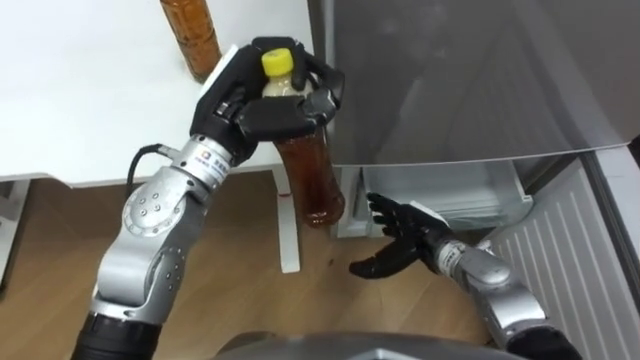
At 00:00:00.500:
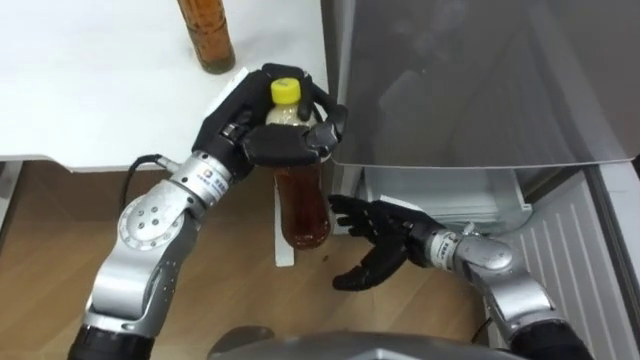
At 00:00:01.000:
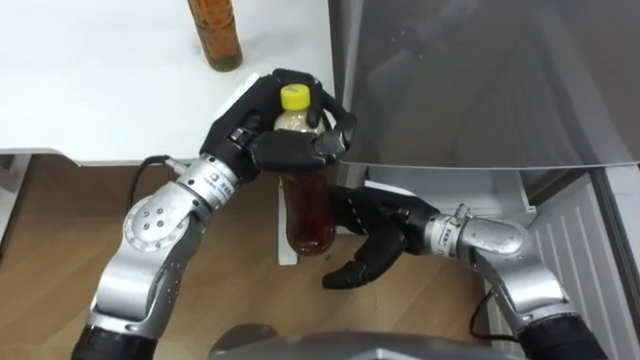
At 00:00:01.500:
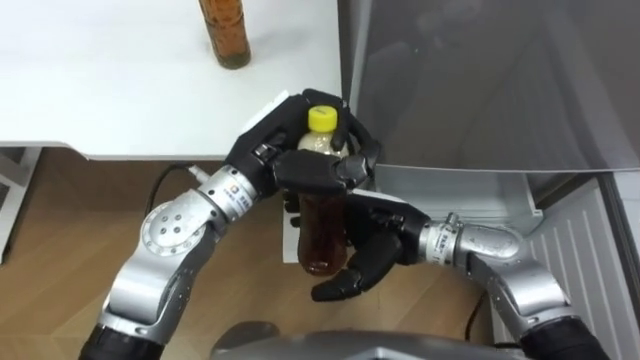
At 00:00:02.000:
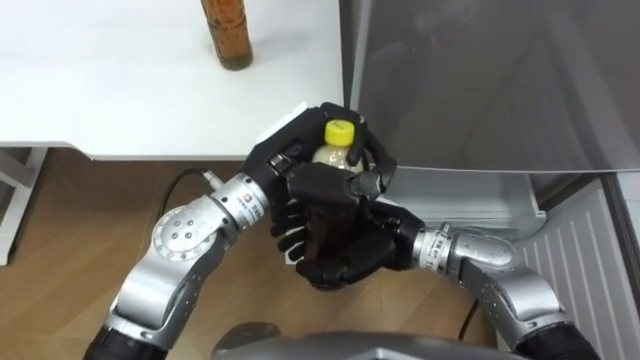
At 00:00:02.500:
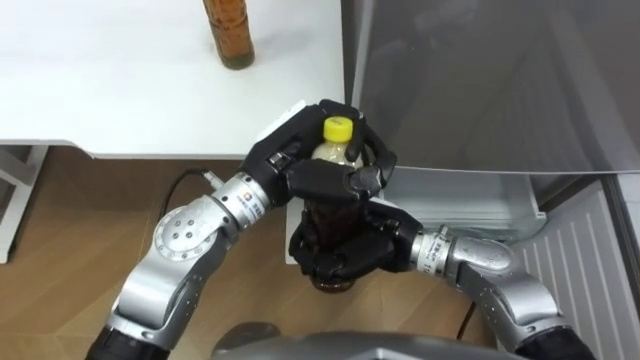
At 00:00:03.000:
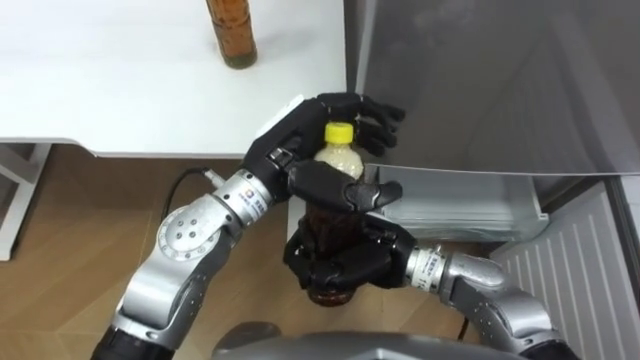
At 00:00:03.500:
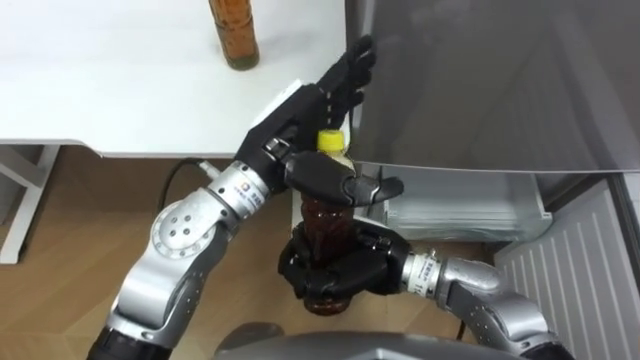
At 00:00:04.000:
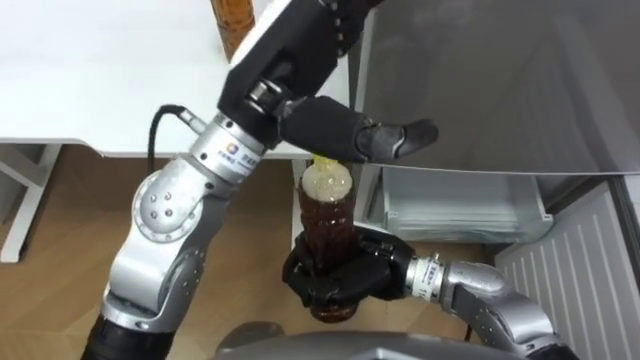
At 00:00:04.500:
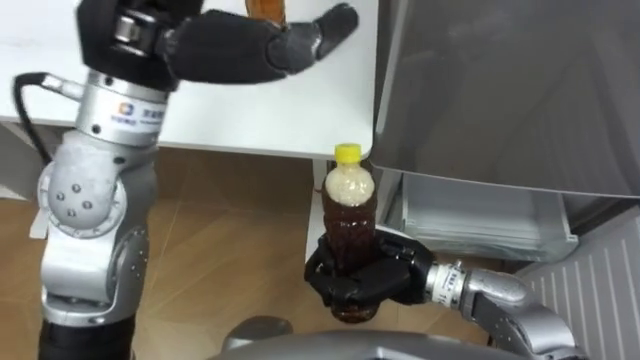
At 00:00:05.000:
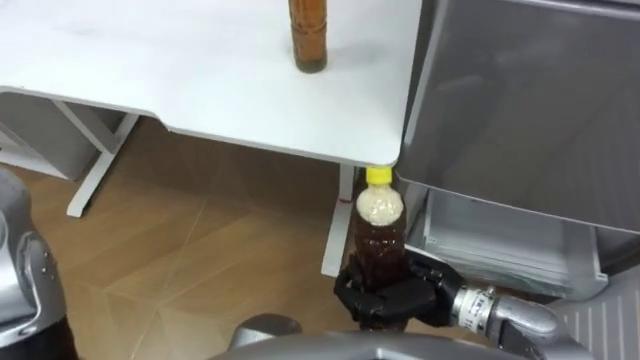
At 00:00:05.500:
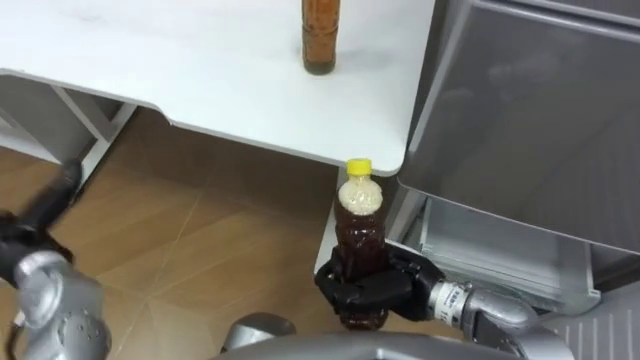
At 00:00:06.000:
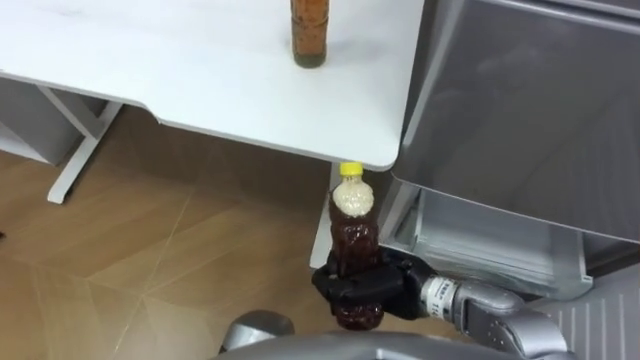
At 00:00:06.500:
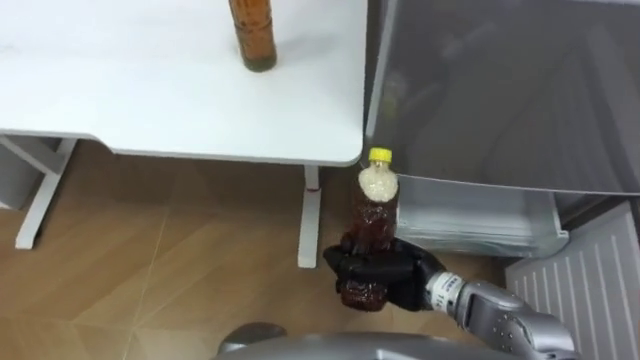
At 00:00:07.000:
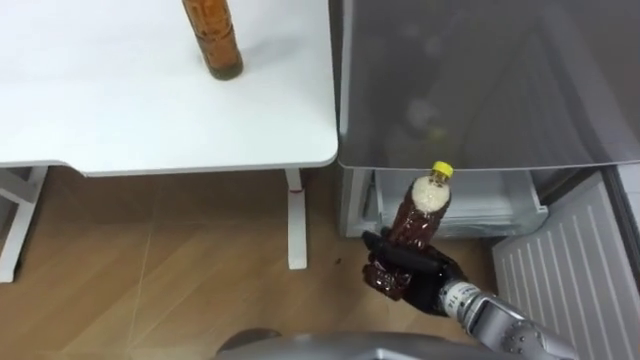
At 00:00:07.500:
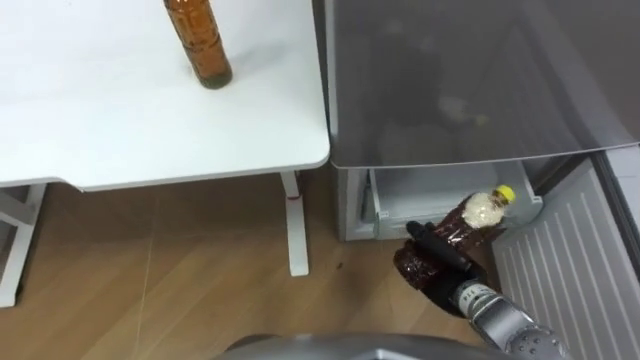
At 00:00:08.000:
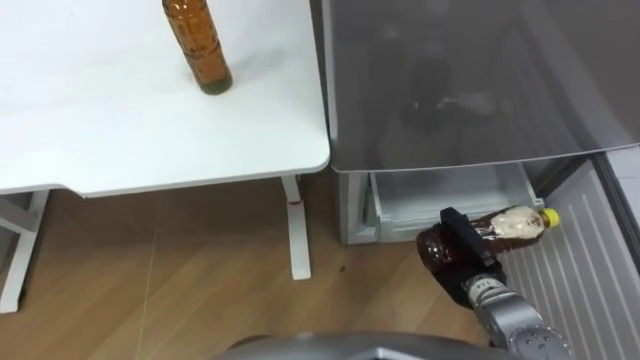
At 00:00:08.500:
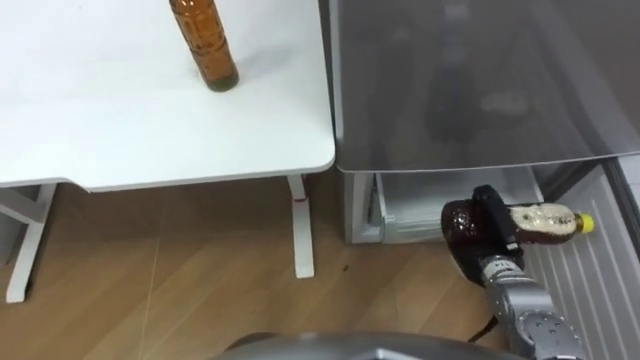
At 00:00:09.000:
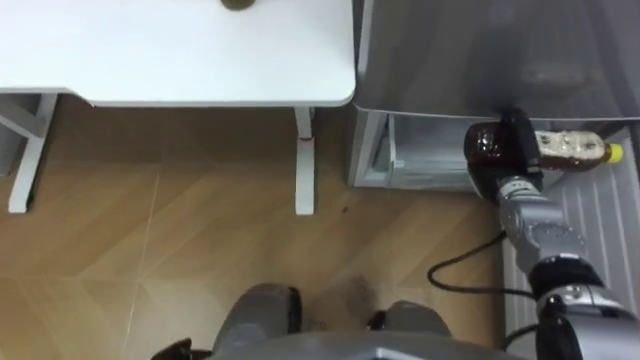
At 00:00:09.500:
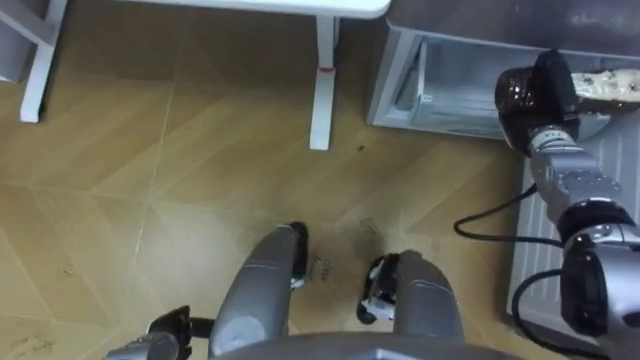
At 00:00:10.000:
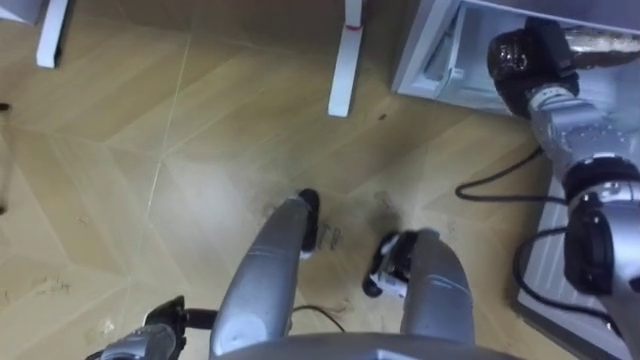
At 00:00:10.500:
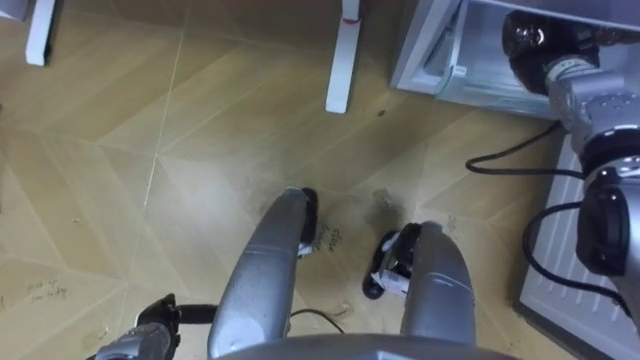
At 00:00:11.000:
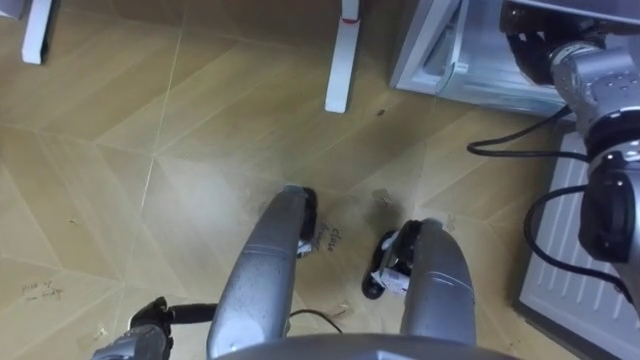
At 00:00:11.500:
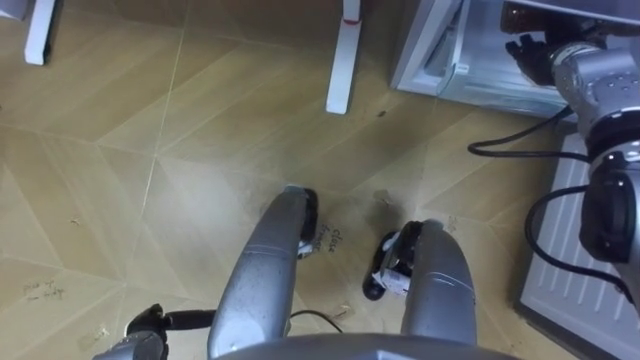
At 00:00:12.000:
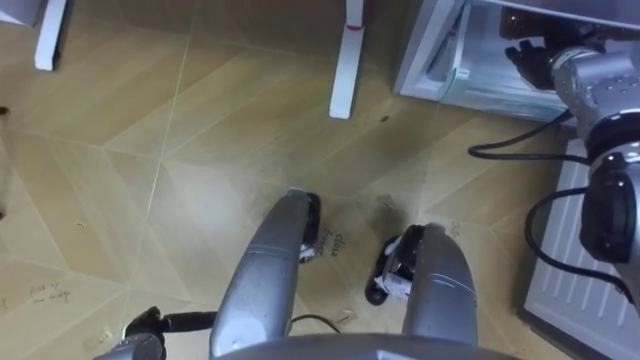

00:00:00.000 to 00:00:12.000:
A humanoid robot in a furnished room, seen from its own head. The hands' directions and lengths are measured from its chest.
Task of the whole recording: Place the drink on the table on the bottom shelf of the refrigerator, then close the drawer and the refrigerator door.
00:00:00.000 to 00:00:02.000: The left hand goes about 5 cm to the right; the right hand heads upward and to the left, covering roughly 15 cm.
00:00:02.000 to 00:00:04.000: The right hand closes up. The left hand shifts about 10 cm upward, and opens its fingers.
00:00:04.000 to 00:00:06.000: The right hand shifts approximately 5 cm downward.
00:00:06.000 to 00:00:08.000: The right hand travels to the right and downward by approximately 15 cm.
00:00:08.000 to 00:00:10.000: The right hand travels forward and upward by about 25 cm.
00:00:10.000 to 00:00:12.000: The right hand opens its fingers.

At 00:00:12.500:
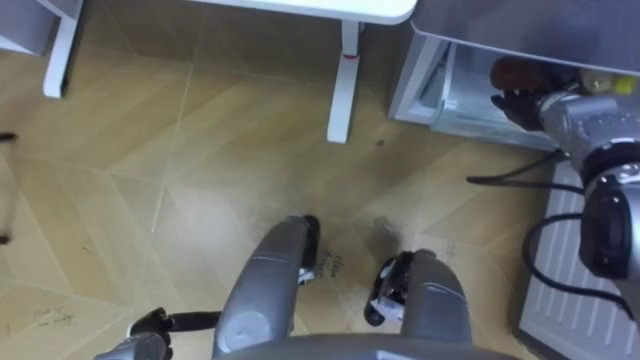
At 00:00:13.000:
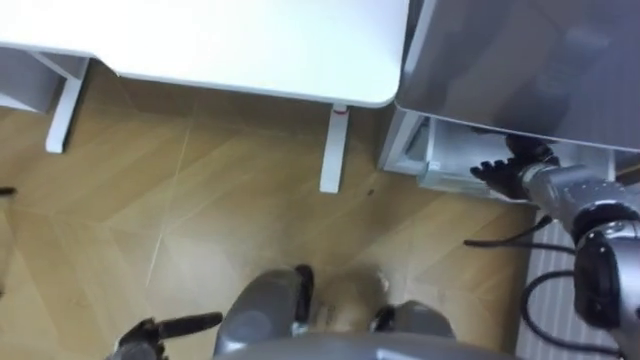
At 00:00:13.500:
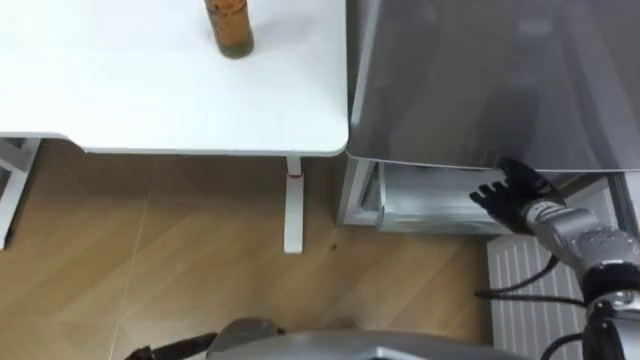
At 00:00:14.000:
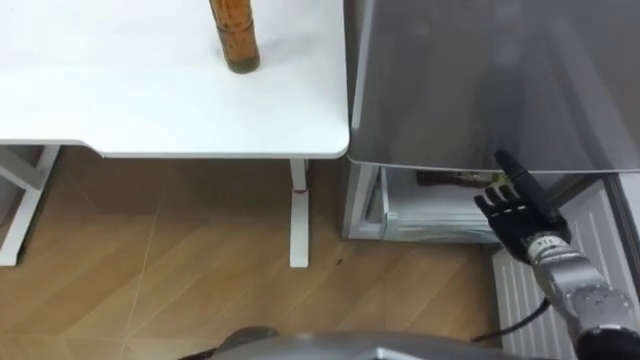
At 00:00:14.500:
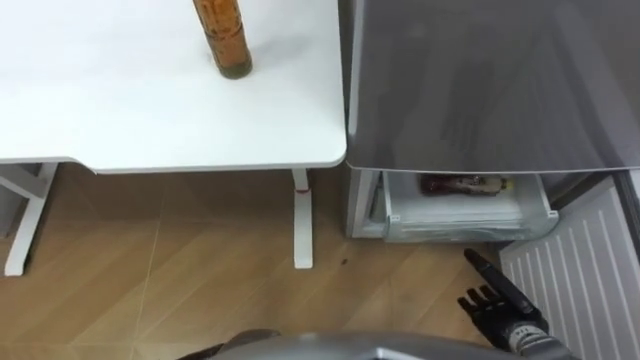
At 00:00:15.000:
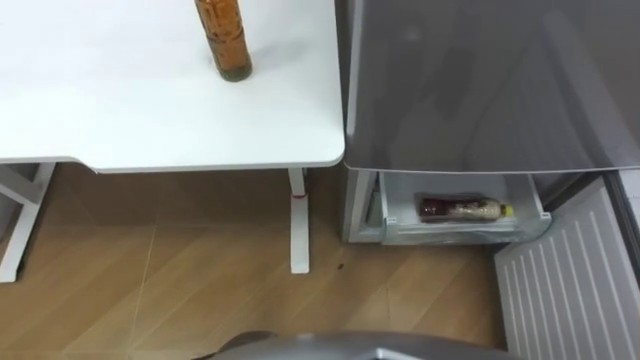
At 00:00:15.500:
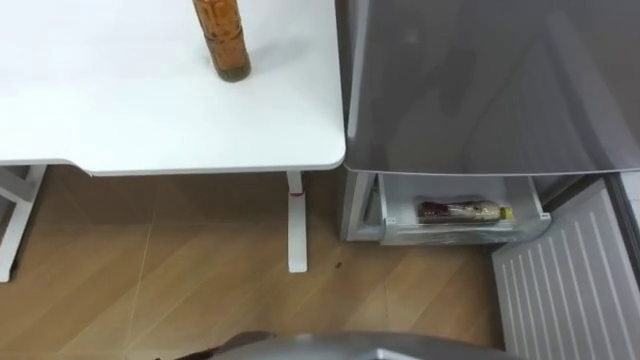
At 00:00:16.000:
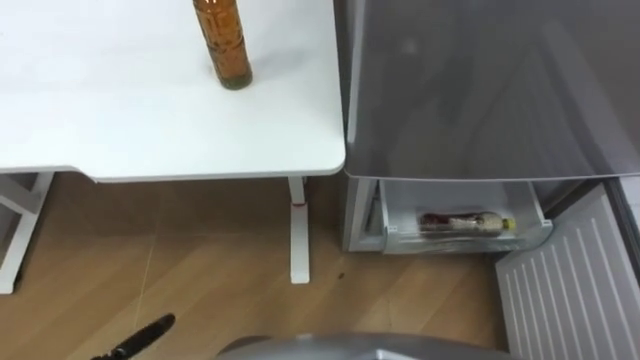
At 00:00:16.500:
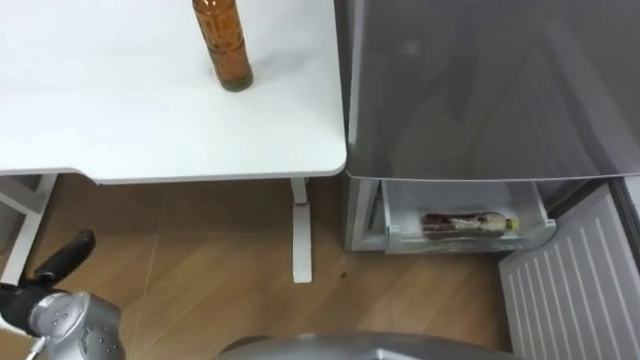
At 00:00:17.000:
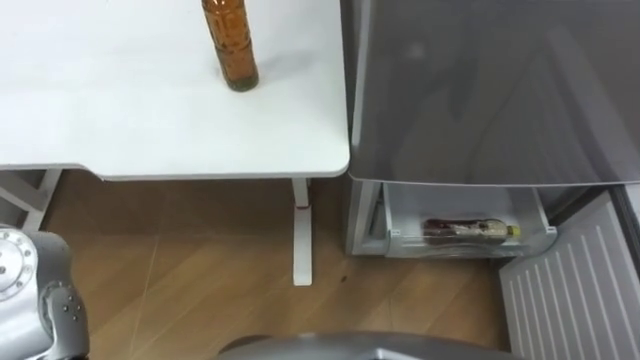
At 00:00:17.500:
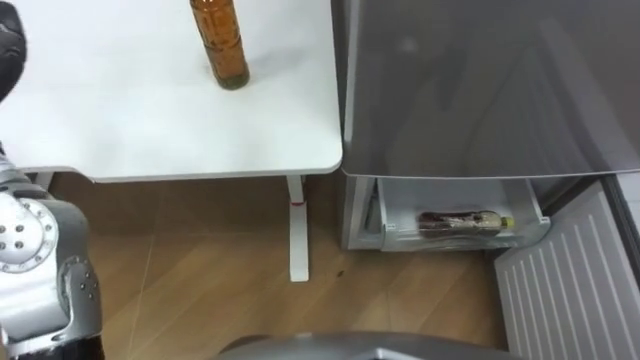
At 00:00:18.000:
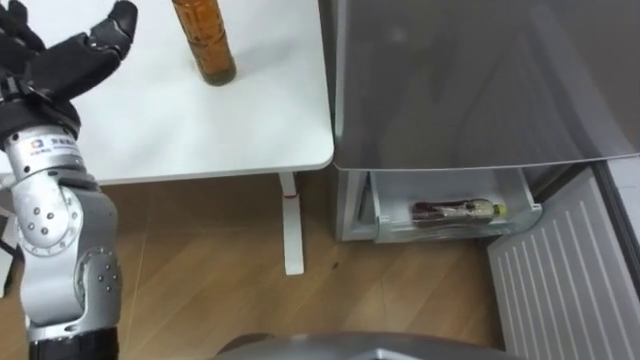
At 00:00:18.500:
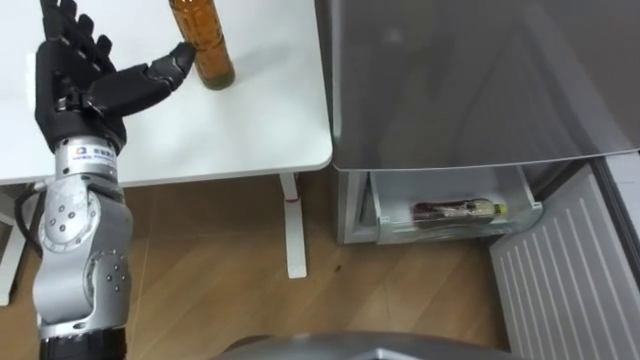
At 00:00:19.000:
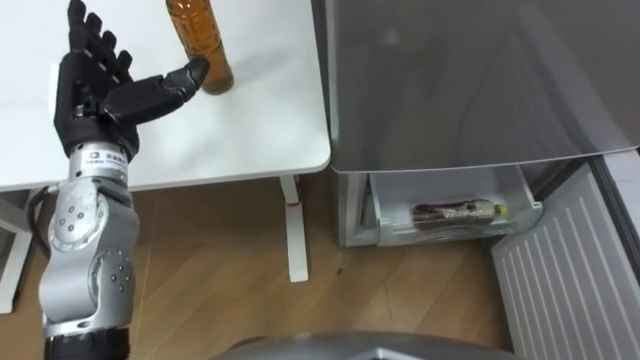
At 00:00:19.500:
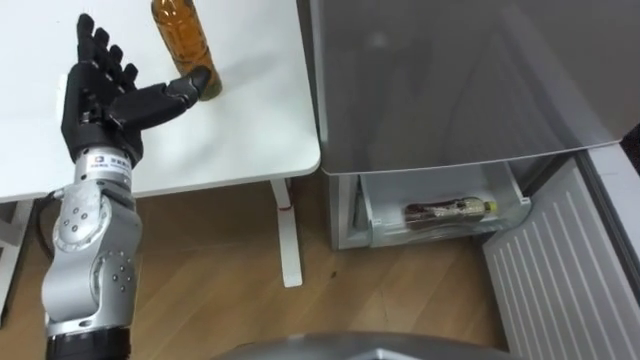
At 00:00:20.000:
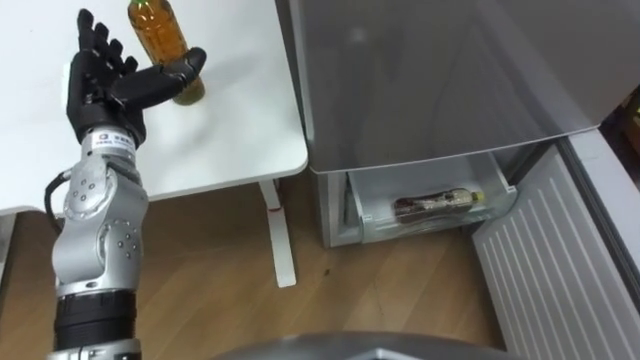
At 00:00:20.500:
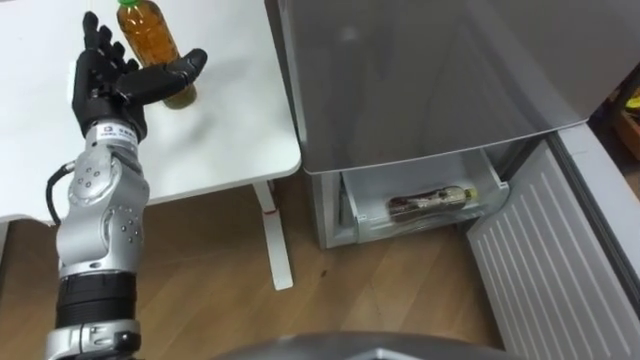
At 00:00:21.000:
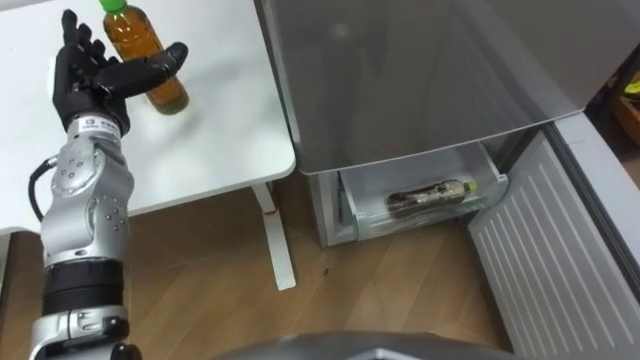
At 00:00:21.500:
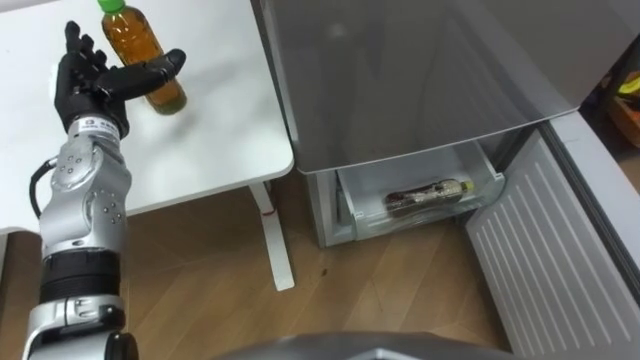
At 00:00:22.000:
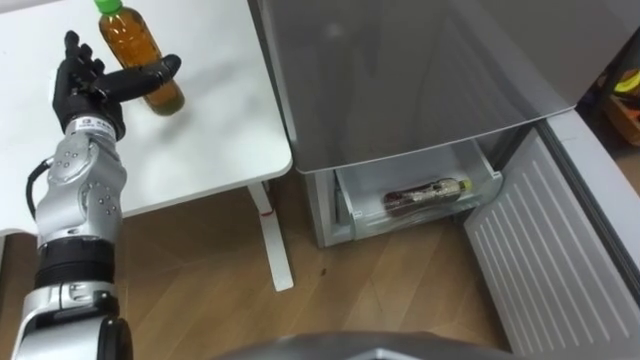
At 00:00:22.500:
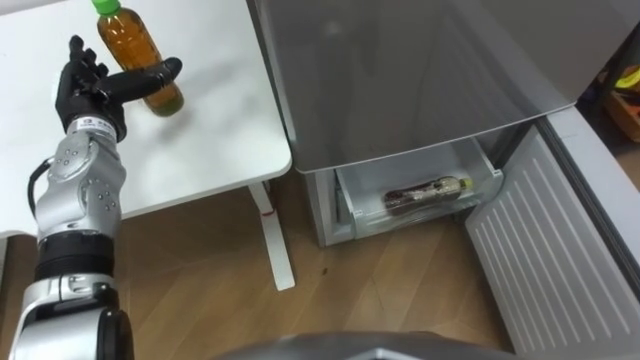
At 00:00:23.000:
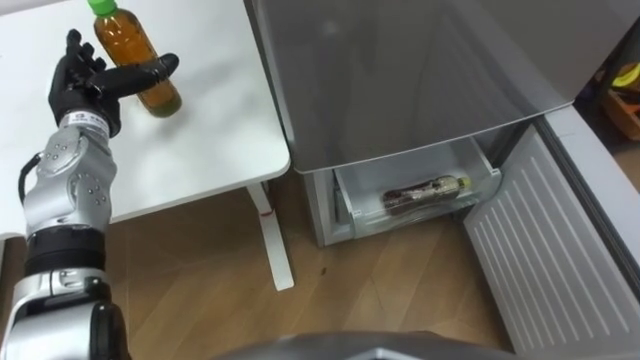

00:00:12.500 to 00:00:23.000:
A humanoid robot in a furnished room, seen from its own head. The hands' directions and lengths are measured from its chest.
Task of the whole recording: Place the drink on the table on the bottom shelf of the refrigerator, then close the drawer and the refrigerator door.
00:00:12.500 to 00:00:14.500: The right hand moves backward and downward, roughly 30 cm.
00:00:19.000 to 00:00:21.000: The left hand shifts by roughly 5 cm.
